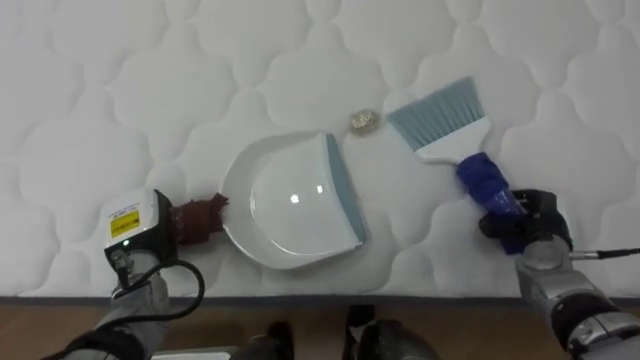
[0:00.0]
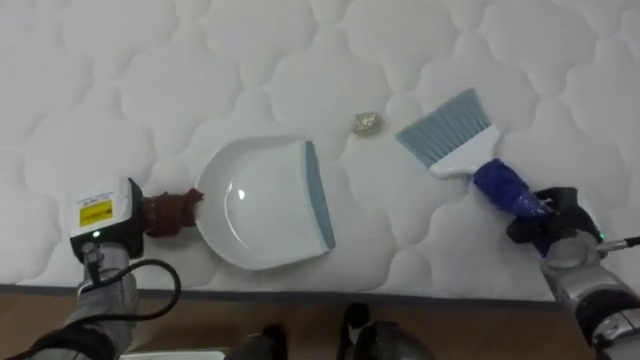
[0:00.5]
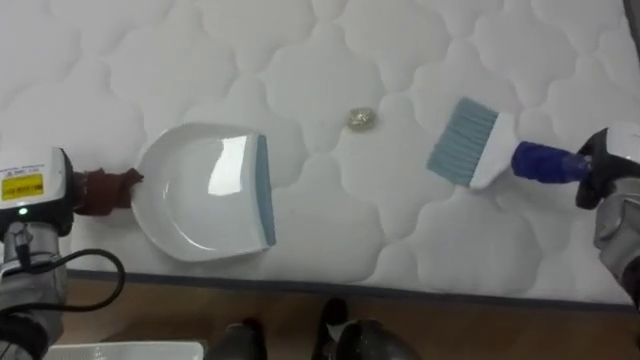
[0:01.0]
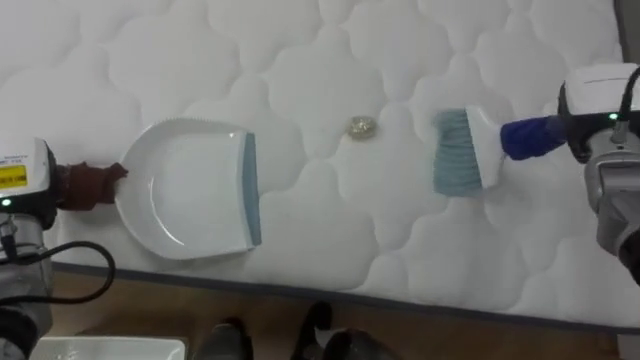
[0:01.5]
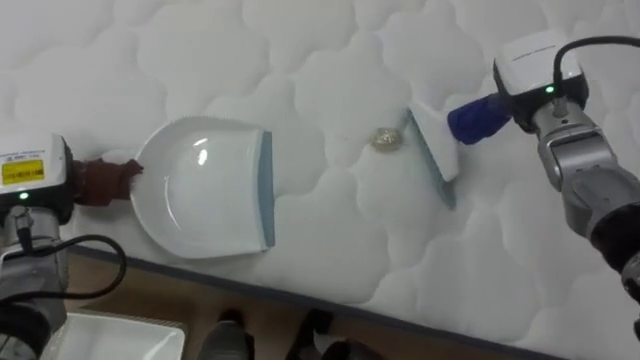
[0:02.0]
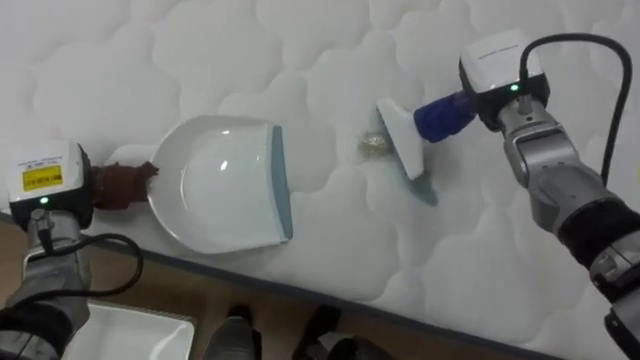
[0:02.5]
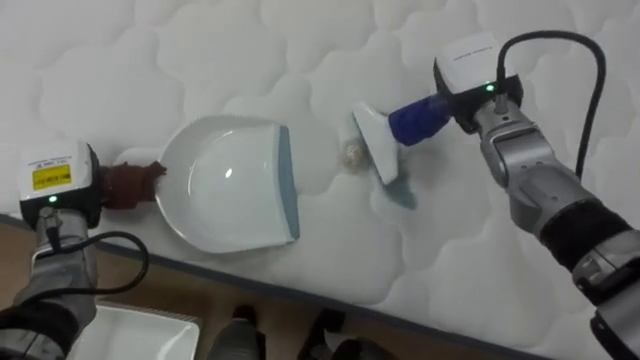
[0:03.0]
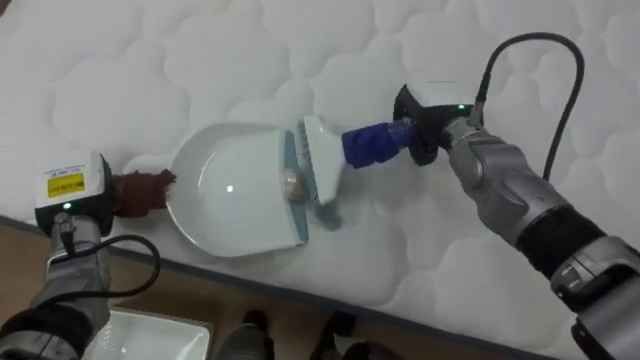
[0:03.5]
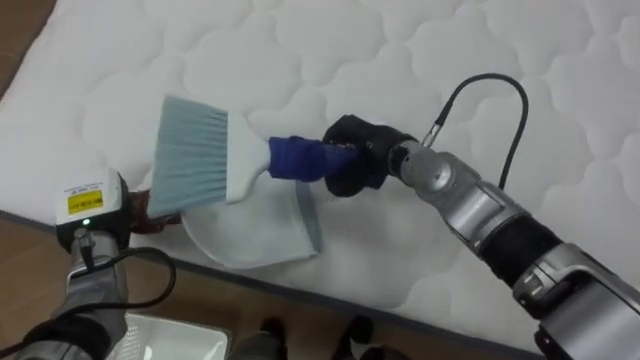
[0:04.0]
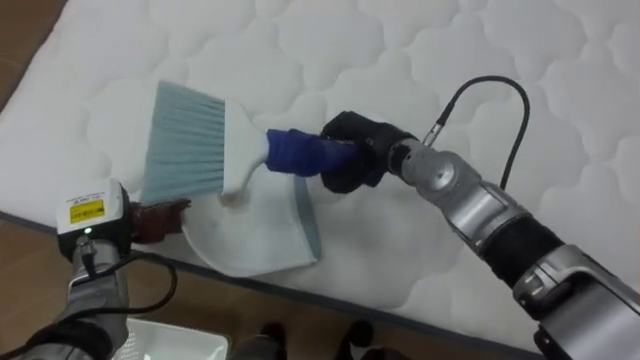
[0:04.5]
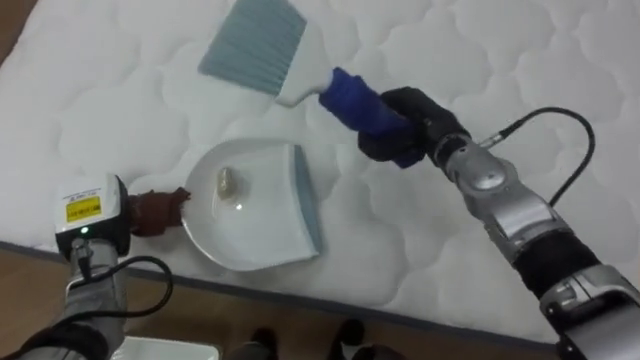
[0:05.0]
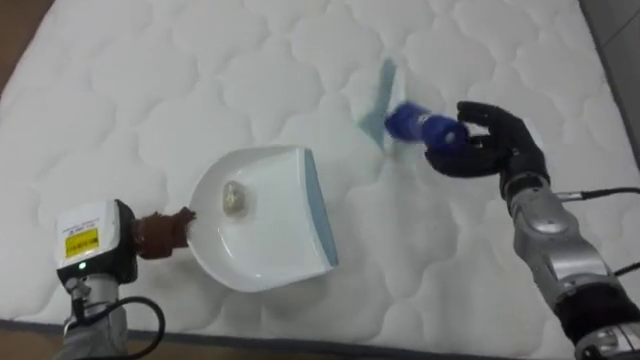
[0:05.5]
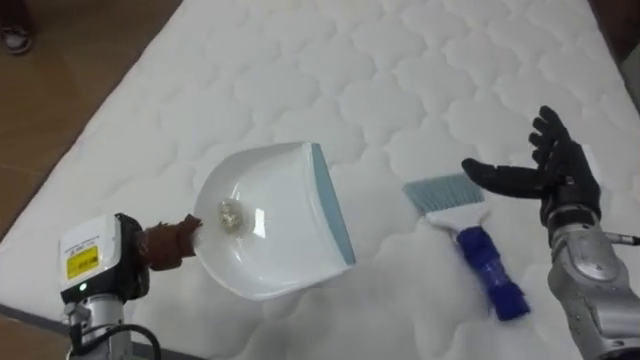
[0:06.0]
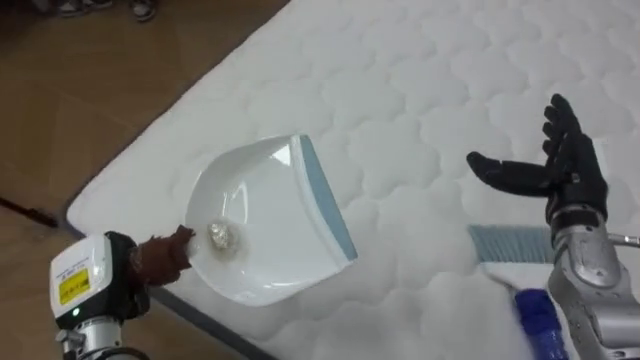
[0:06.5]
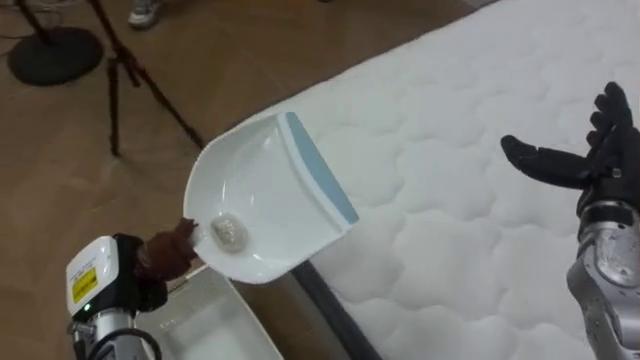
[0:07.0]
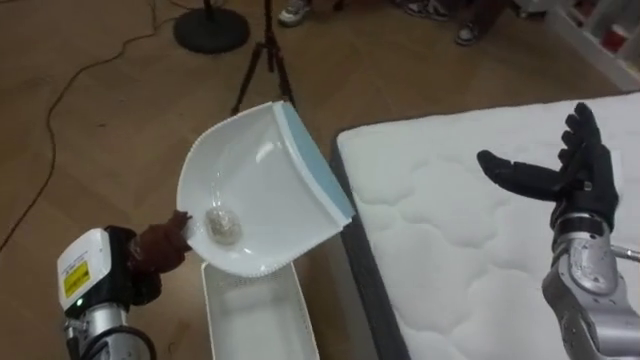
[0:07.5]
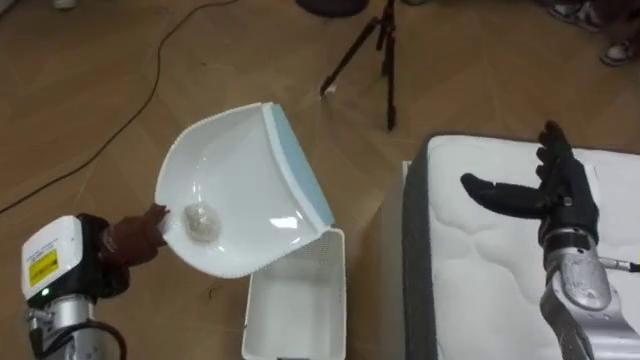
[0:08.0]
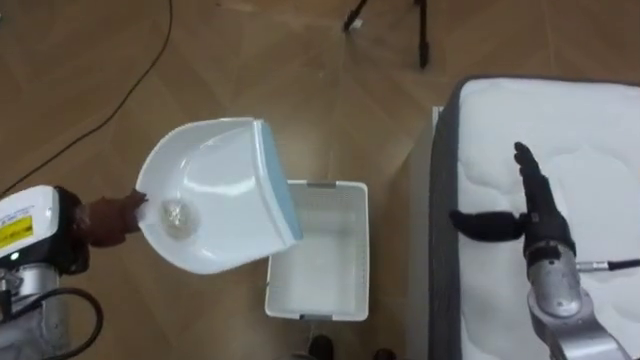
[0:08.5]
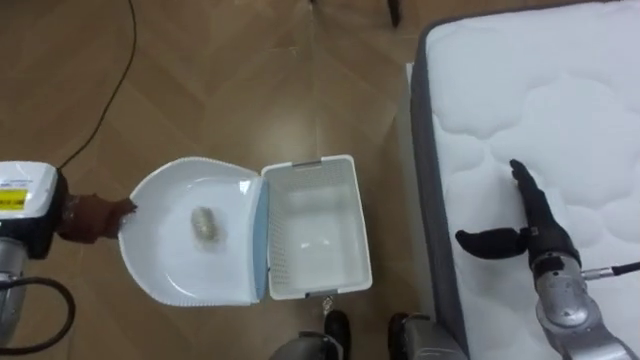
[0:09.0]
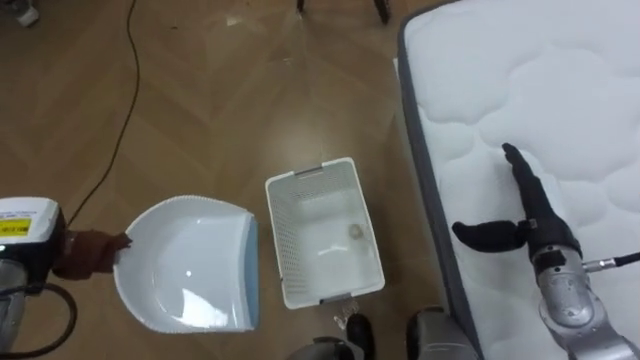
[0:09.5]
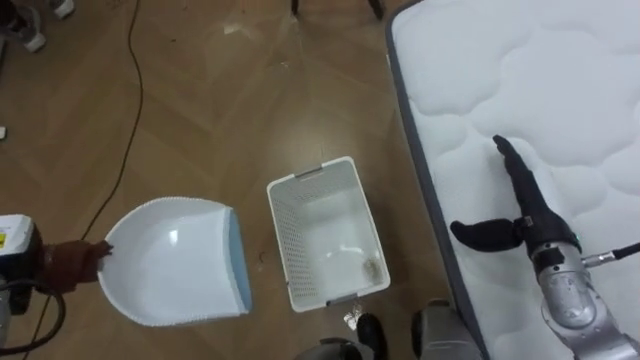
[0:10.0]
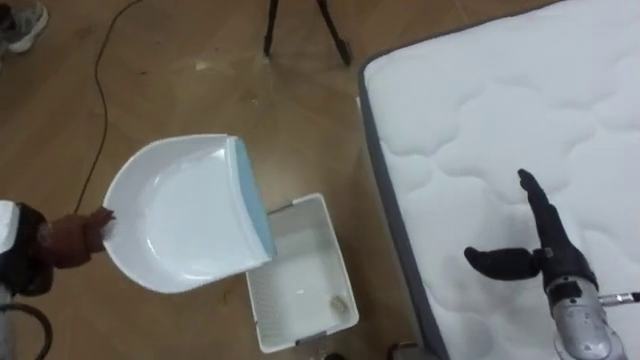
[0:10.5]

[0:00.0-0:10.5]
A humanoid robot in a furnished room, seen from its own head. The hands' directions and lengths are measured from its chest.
Task of the whole recording: Pick up the brush on your right and the dustpan on your left. Use the brush to sweep the crumpled paper on the bed into the dustpan, then turn left and empty it into the basket.
0:00.0 to 0:02.0: The left hand is displaced to the left and upward by approximately 15 cm; the right hand heads upward and forward, covering approximately 20 cm.
0:02.0 to 0:04.0: The left hand shifts roughly 10 cm downward and to the right. The right hand moves to the left, approximately 20 cm.
0:04.0 to 0:06.5: The left hand heads backward, covering some 10 cm; the right hand heads to the right, covering some 25 cm, and opens up.
0:06.5 to 0:08.5: The robot turns to its left by roughly 70 degrees. The left hand shifts roughly 5 cm to the left. Meanwhile the right hand travels downward by approximately 5 cm.

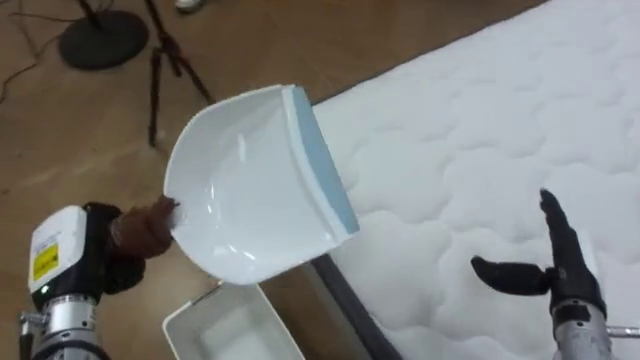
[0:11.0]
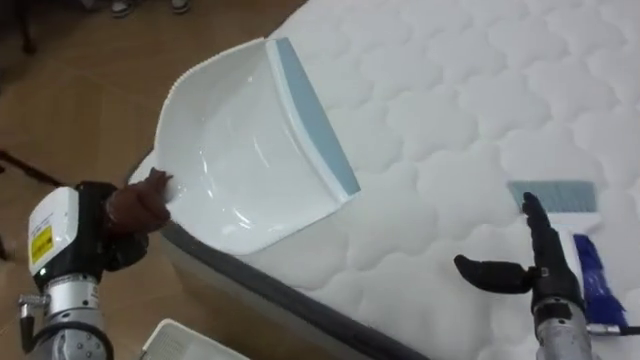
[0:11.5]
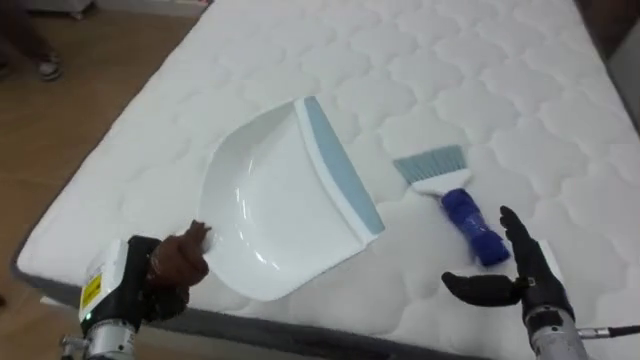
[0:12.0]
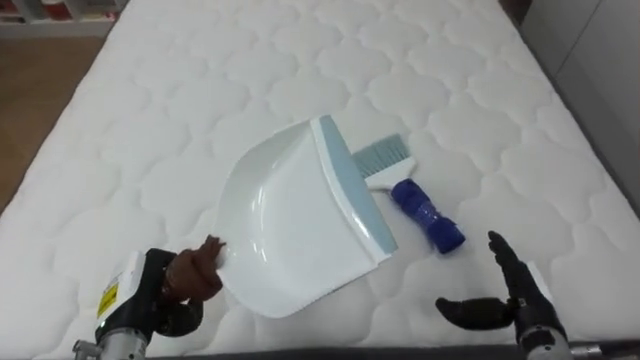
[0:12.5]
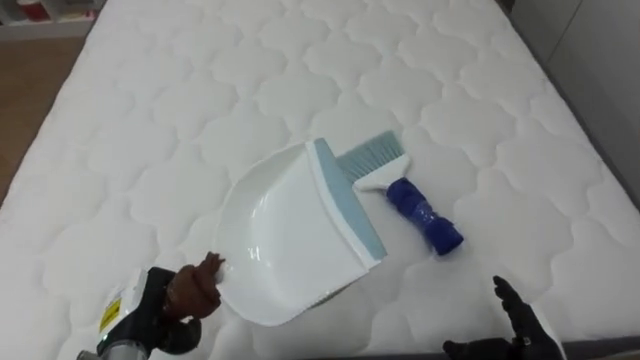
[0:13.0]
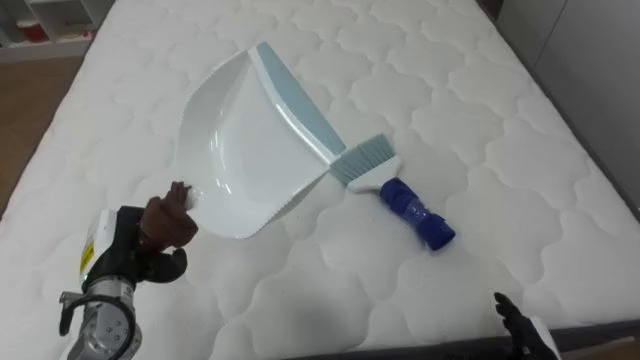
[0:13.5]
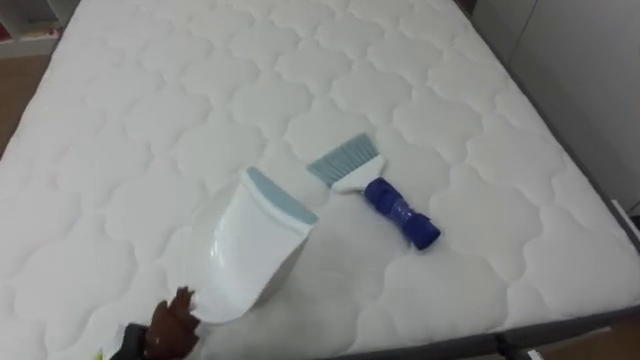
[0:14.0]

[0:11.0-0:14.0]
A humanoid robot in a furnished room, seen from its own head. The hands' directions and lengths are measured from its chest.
Task of the whole recording: Pick up the brush on your right and the dustpan on your left. Use the brush to sweep the crumpled paper on the bed into the dustpan, then turn left and empty it into the basket.
0:11.0 to 0:12.5: The robot rotates about 60 degrees to its right. The left hand is displaced to the right and downward by roughly 10 cm, while the right hand changes place by approximately 5 cm.
0:12.5 to 0:14.0: The left hand goes some 10 cm downward.

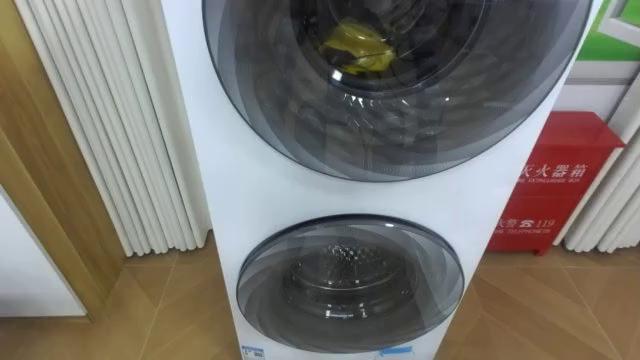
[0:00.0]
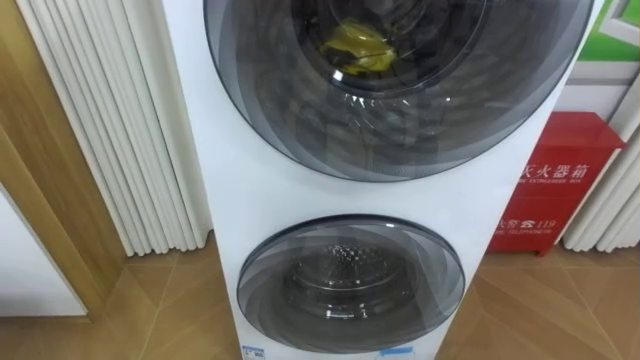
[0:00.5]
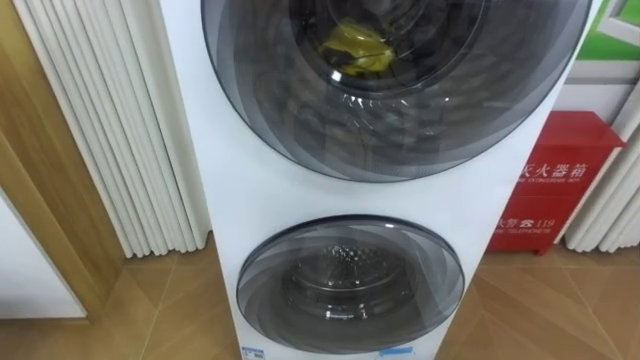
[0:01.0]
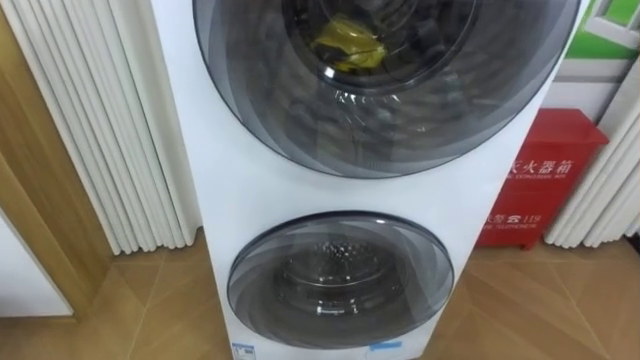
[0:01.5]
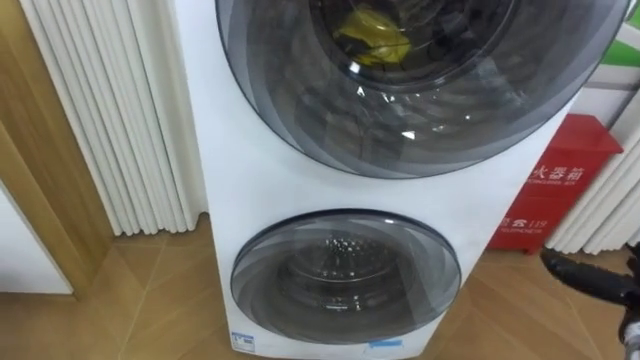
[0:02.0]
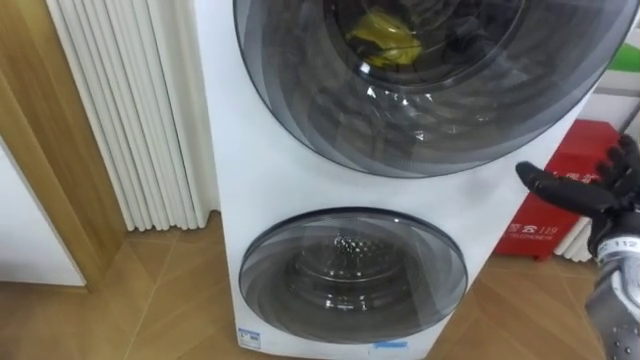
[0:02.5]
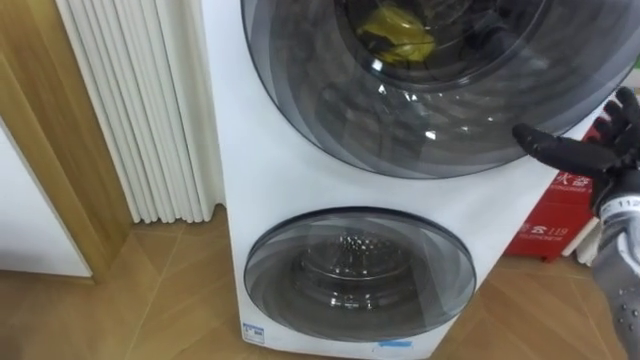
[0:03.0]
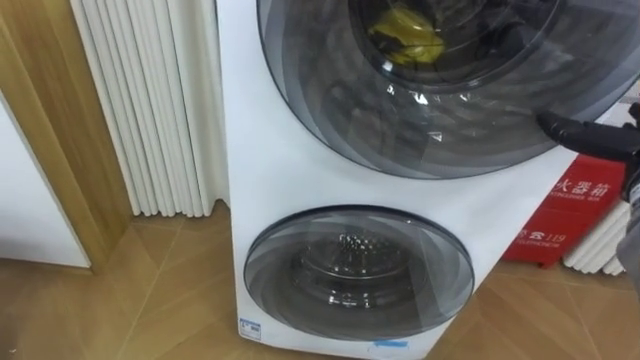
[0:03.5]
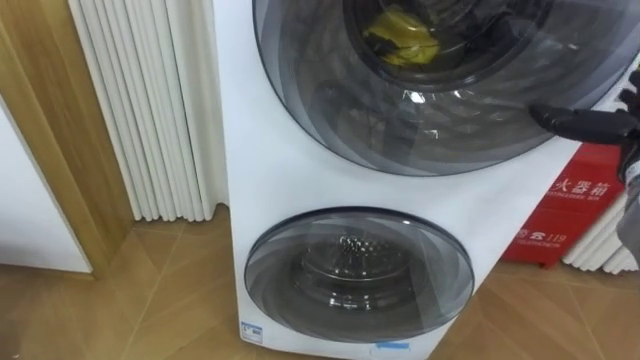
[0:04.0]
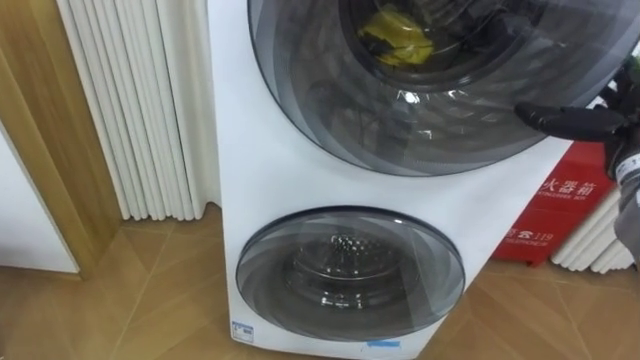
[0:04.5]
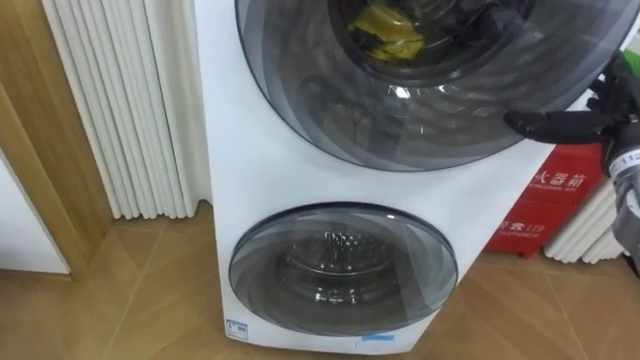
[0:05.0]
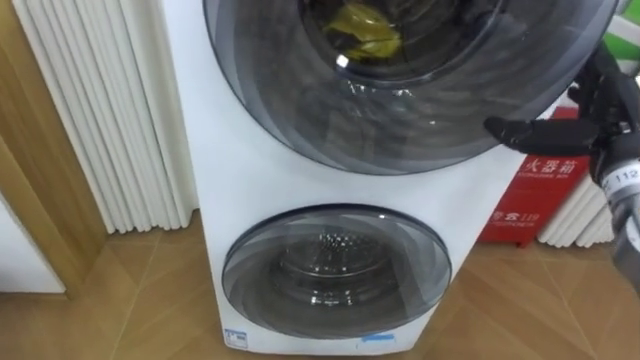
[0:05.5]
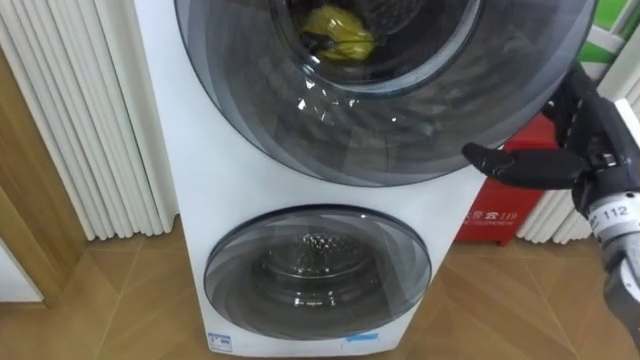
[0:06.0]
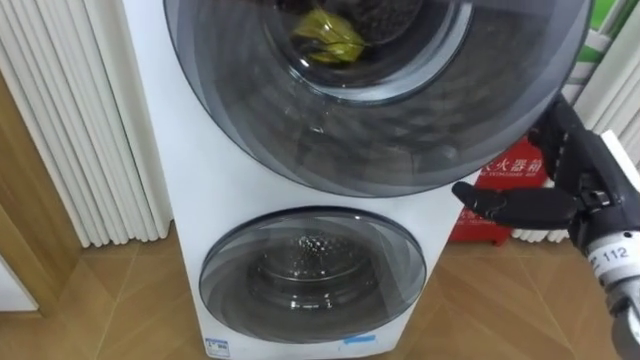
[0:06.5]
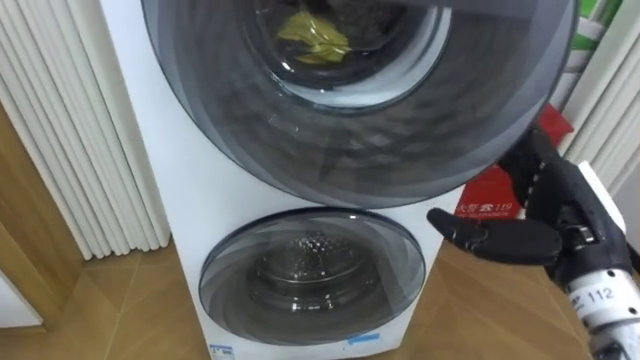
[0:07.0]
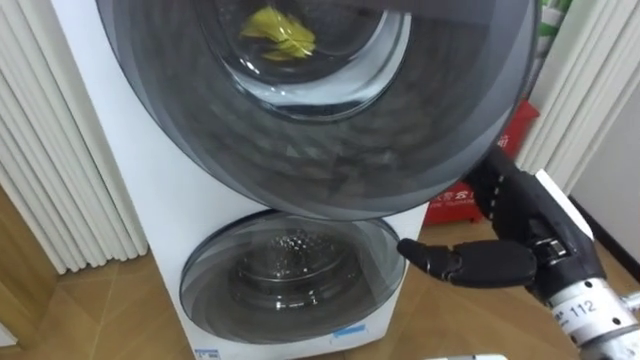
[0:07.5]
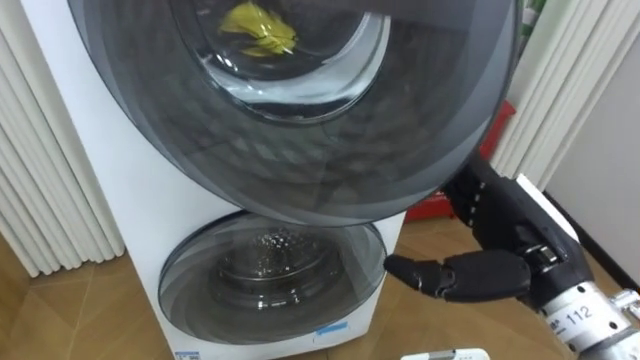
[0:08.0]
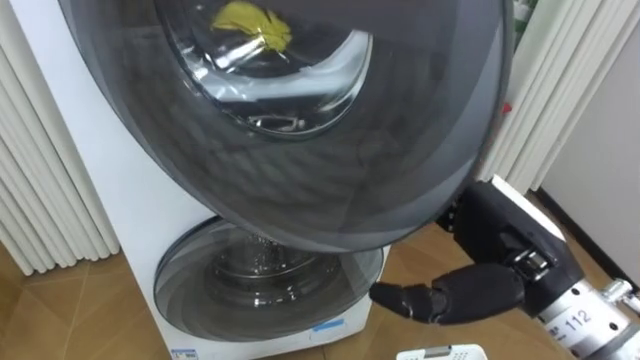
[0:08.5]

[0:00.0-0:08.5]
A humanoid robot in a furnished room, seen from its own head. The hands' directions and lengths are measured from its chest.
Task of the whole recording: Open the washing machine door, take out the yellow clothes, place them in the box on the right, and close the washing machine door.
0:06.5 to 0:08.5: The right hand shifts approximately 10 cm to the left and backward.
